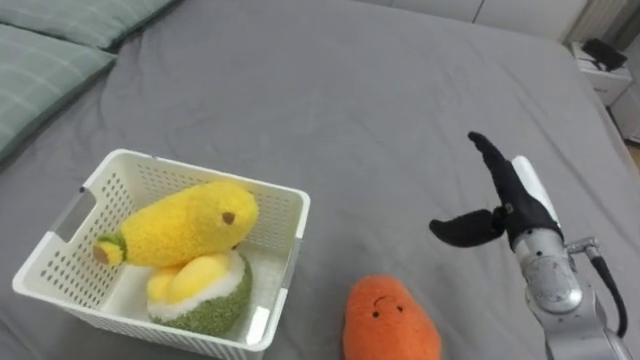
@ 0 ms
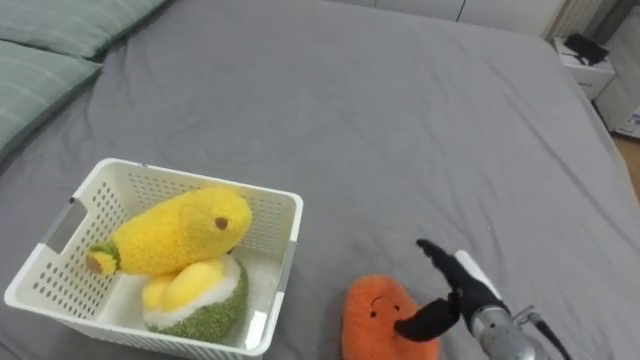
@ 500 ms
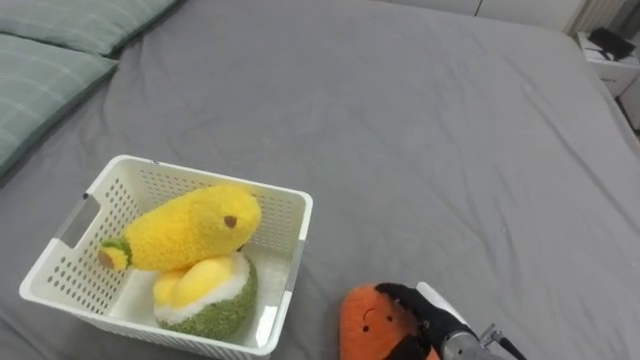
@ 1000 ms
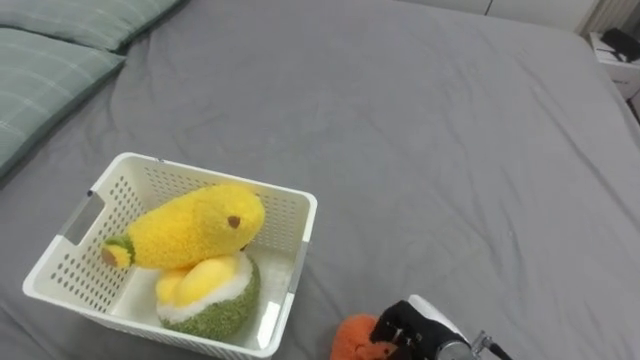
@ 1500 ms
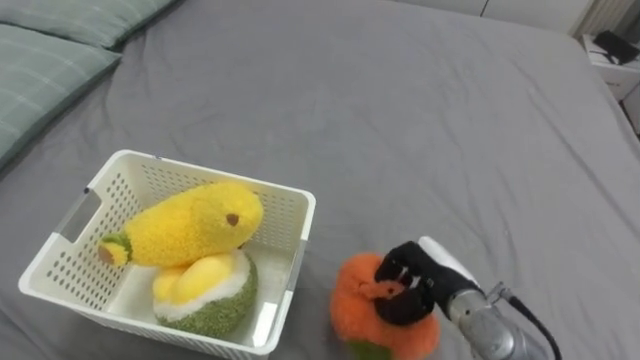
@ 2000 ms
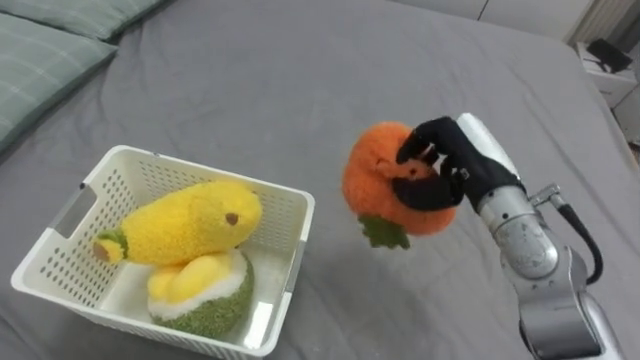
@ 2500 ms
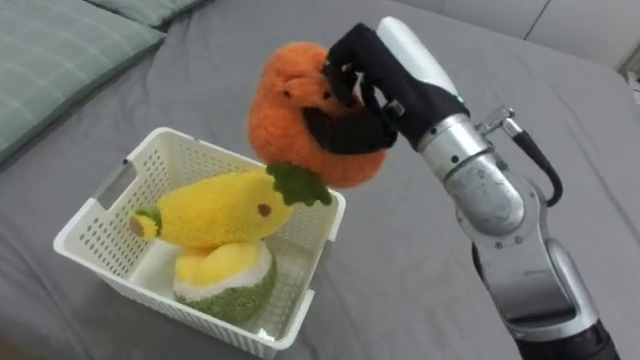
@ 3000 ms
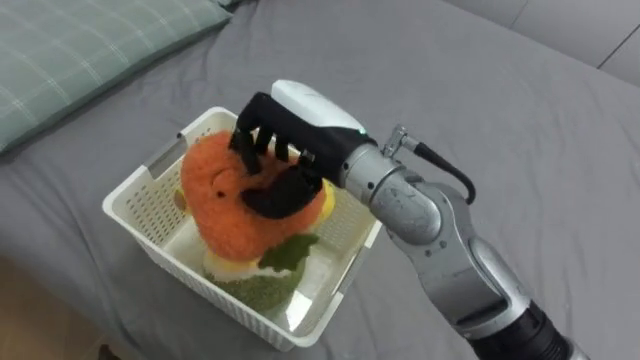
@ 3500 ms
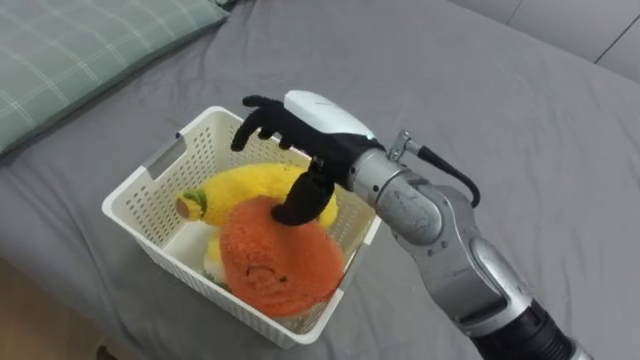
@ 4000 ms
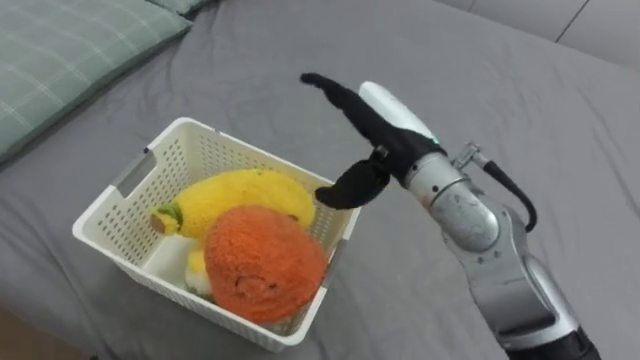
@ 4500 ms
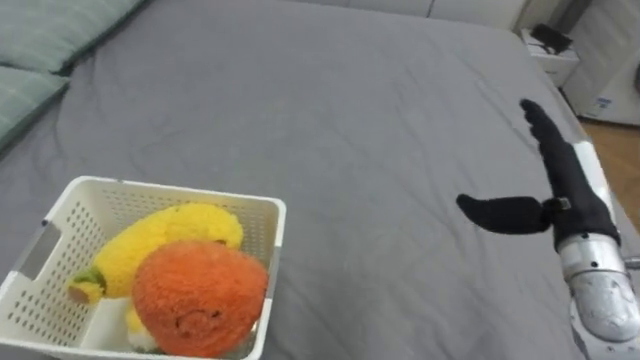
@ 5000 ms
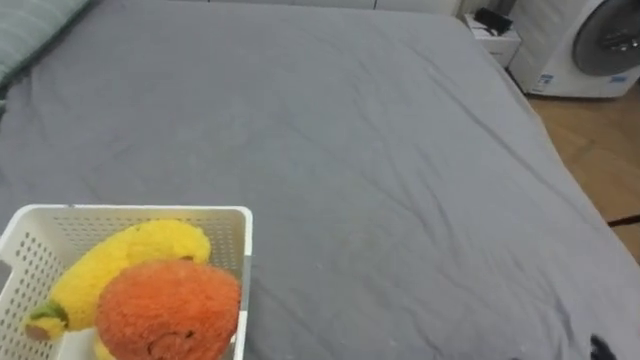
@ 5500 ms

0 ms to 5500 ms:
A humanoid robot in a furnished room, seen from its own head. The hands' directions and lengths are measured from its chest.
Task of the whole recording: Put the toys on the bed into the basket on the left.
0 ms to 2000 ms: The right hand goes about 15 cm downward, to the left and backward, and closes its fingers.
2000 ms to 3500 ms: The right hand goes roughly 30 cm upward and to the left.

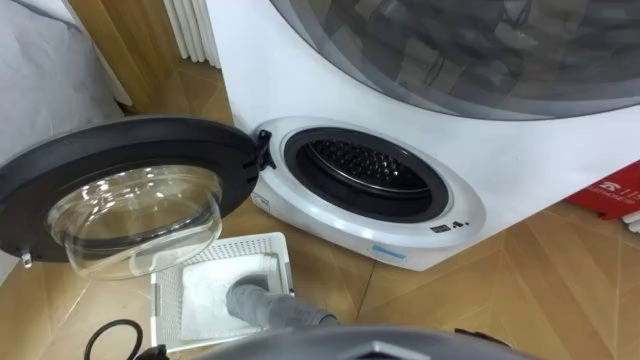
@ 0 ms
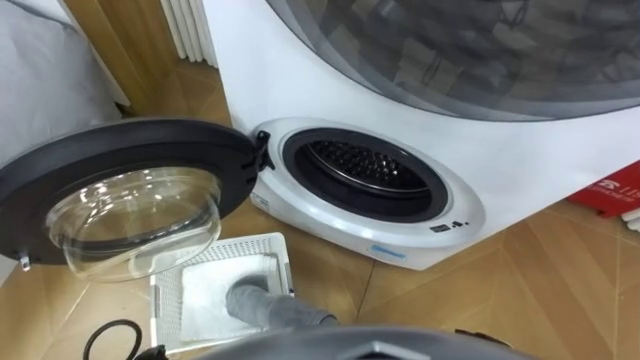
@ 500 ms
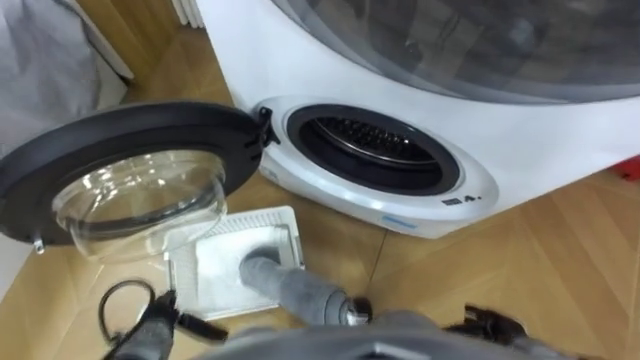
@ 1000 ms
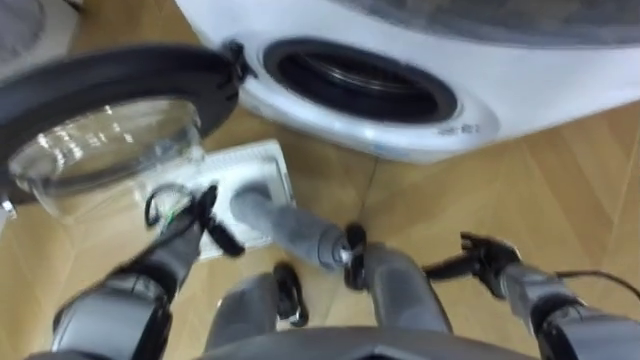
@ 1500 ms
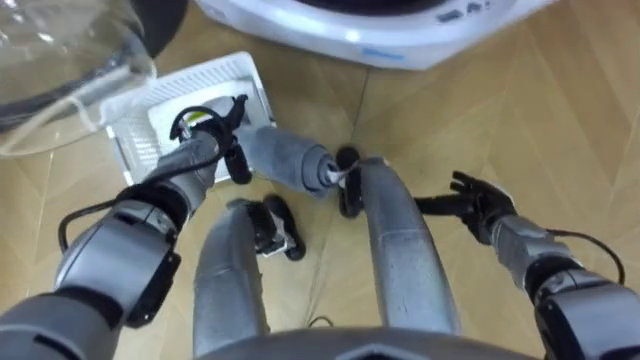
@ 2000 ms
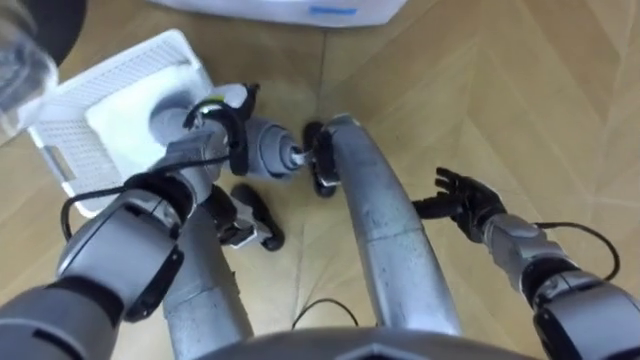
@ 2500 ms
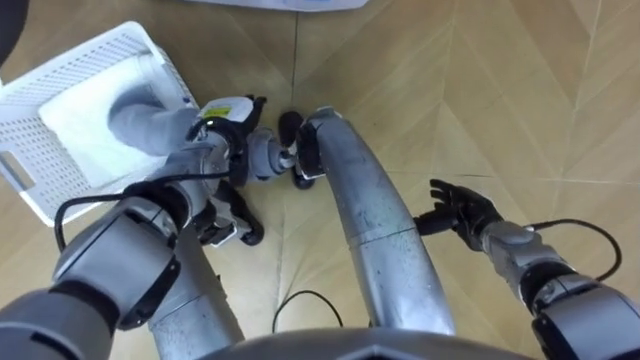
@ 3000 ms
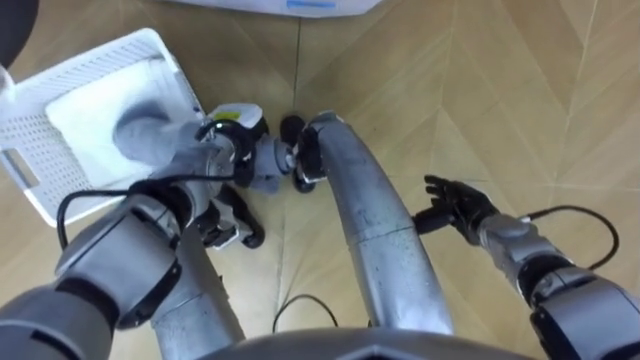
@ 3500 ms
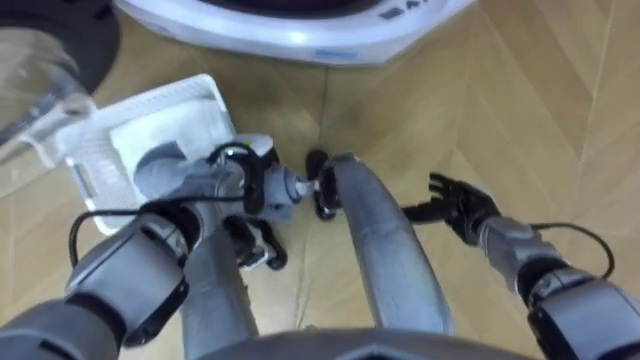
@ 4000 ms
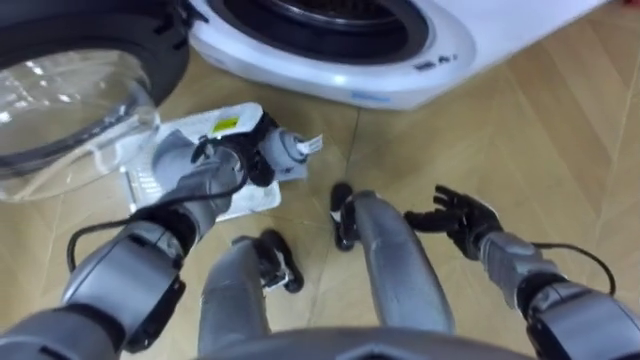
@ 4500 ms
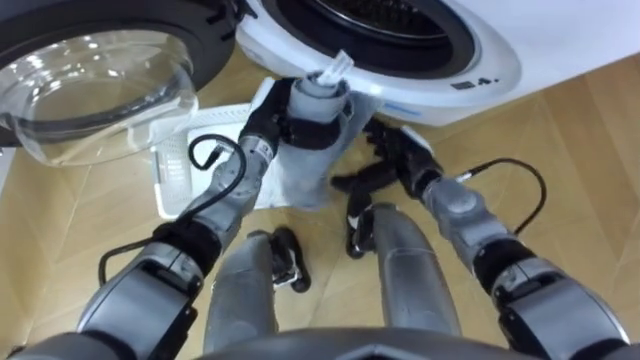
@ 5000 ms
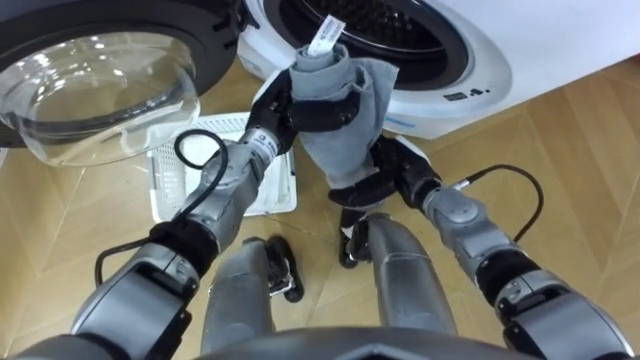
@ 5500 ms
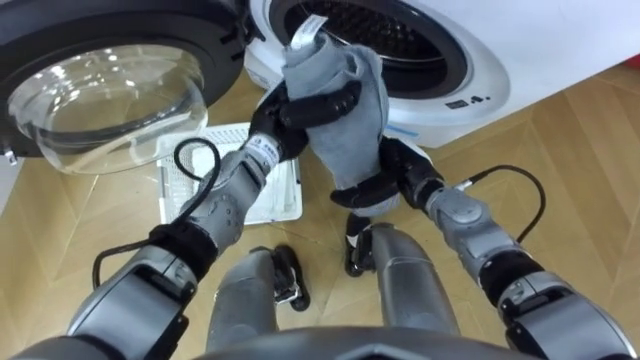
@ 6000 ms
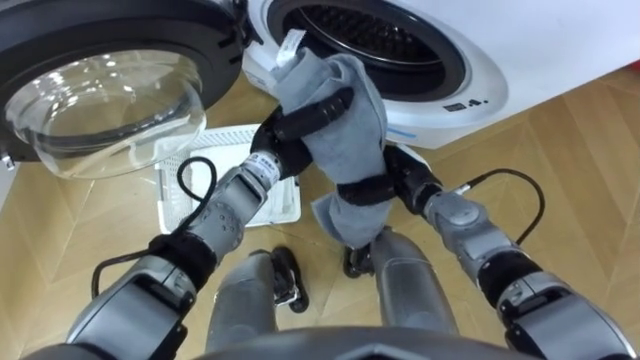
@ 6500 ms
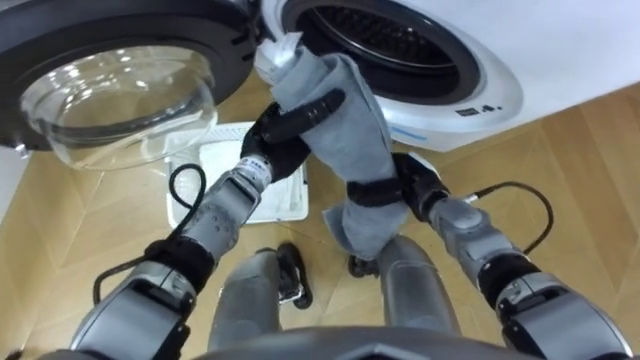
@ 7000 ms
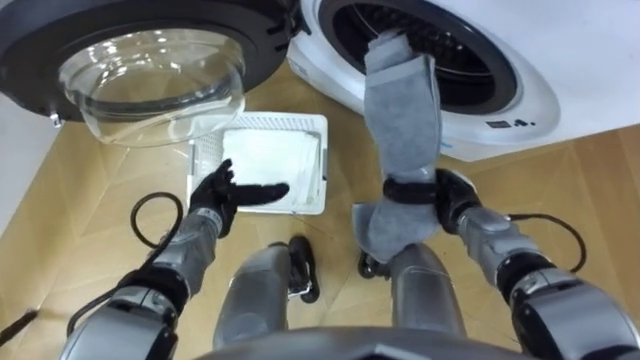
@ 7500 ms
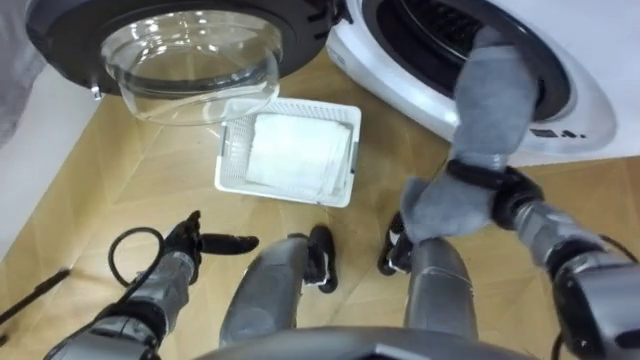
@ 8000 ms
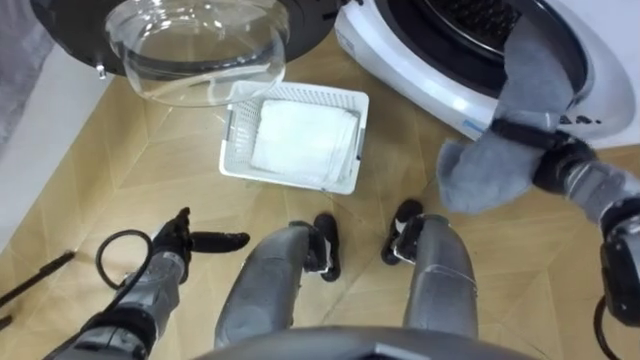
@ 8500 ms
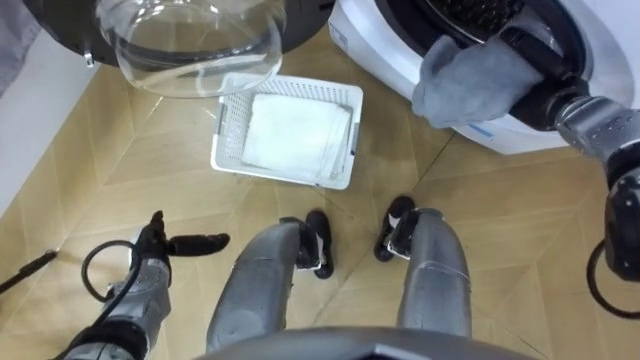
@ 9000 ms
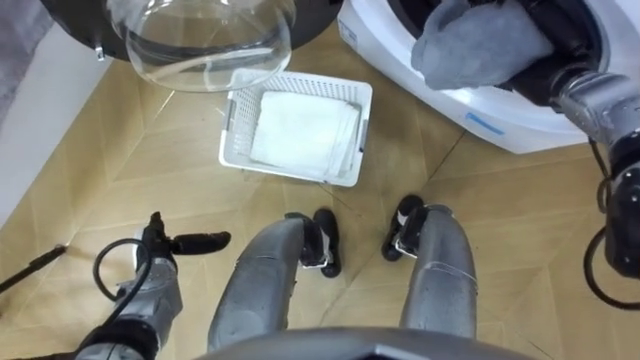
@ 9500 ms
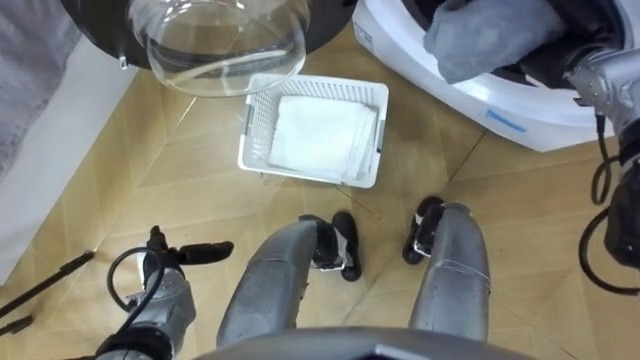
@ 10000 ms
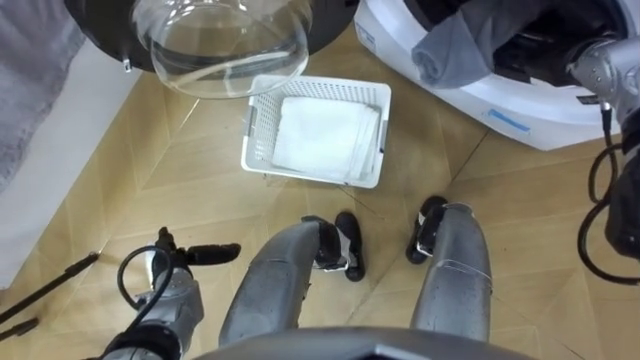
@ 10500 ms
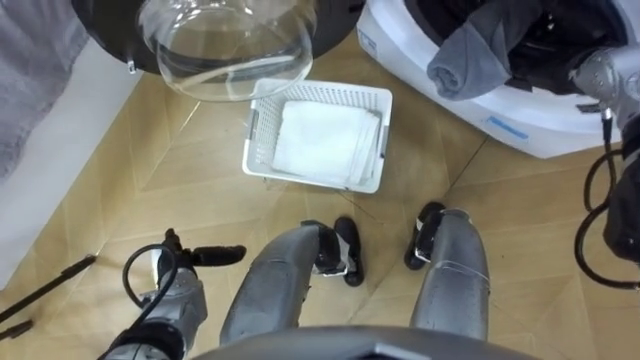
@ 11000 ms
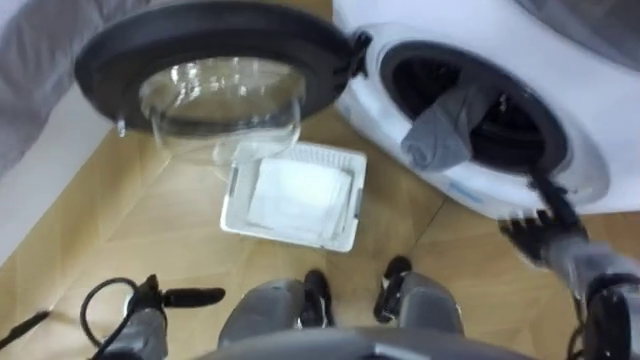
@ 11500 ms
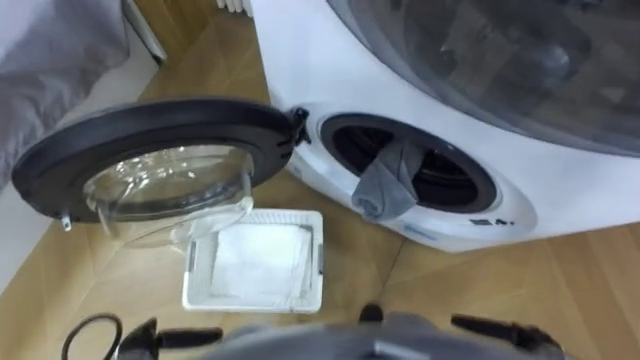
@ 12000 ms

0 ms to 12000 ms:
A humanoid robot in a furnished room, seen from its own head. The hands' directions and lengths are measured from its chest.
Task of the whole recording: Take the towel from the basket and put it into the washing machine.
2000 ms to 4000 ms: The left hand changes place by about 5 cm, and closes its fingers.
4000 ms to 6000 ms: The left hand moves upward and to the right, some 10 cm; the right hand travels to the left and upward by about 15 cm.
6000 ms to 8000 ms: The right hand moves to the right, roughly 15 cm, and closes. The left hand is displaced to the left, downward and backward by about 30 cm, and opens its fingers.
8000 ms to 10000 ms: The right hand is displaced upward and forward by some 20 cm, and opens.
10000 ms to 12000 ms: The left hand moves backward, approximately 15 cm. Meanwhile the right hand travels backward and downward by some 40 cm.

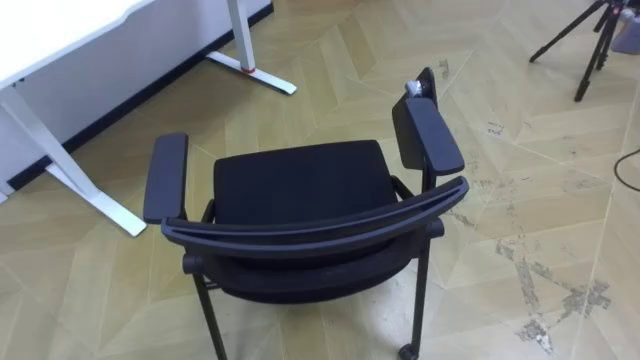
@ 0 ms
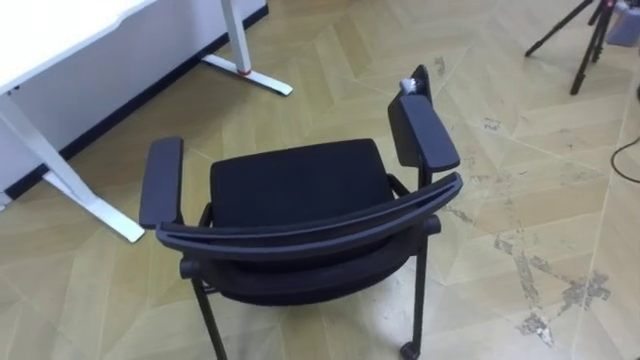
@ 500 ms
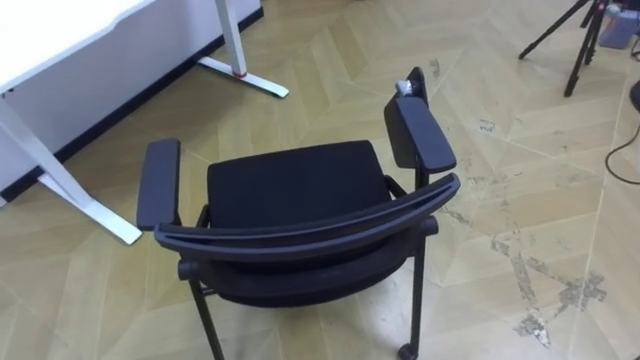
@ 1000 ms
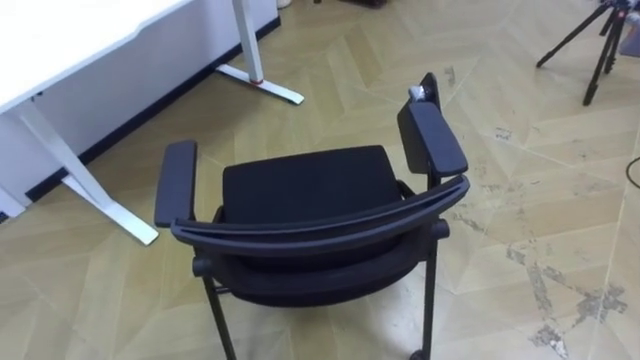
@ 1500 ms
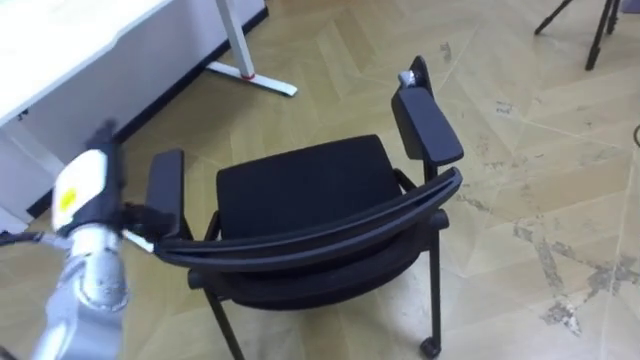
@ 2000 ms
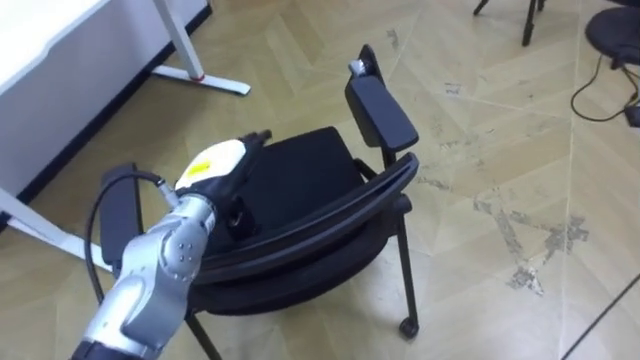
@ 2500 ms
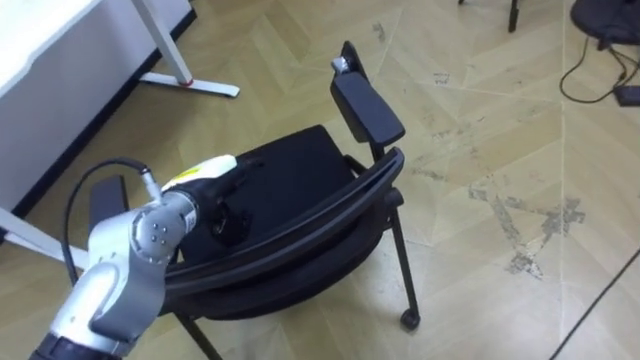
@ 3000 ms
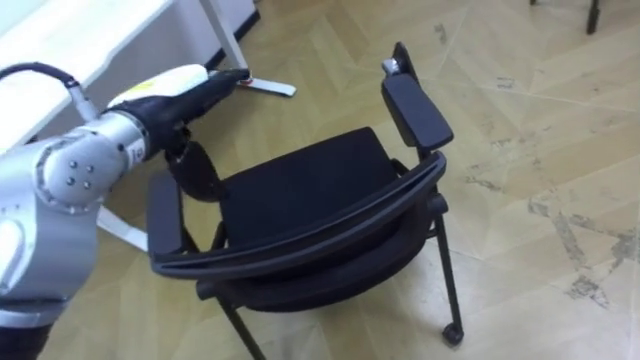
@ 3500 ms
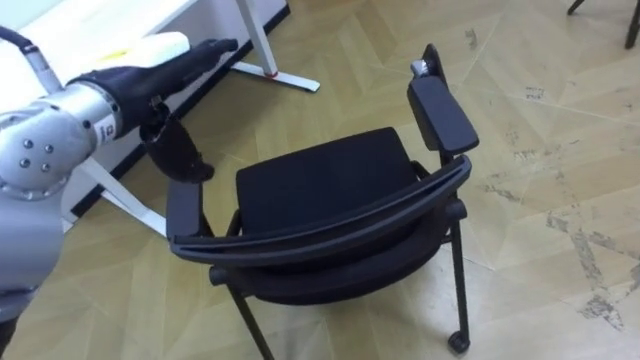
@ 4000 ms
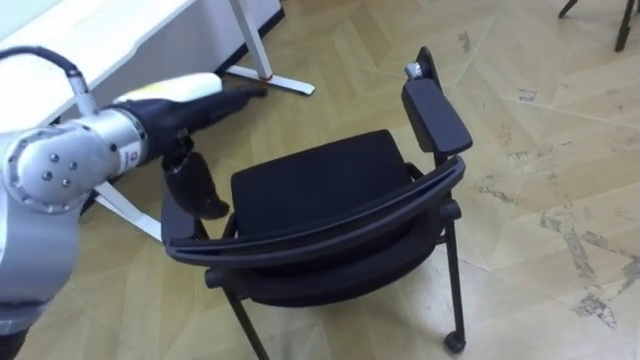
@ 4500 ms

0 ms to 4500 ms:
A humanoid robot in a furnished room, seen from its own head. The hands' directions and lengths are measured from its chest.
Task of the whole recording: Push the chair under the table.
2000 ms to 4500 ms: The left hand goes approximately 20 cm upward and to the right.
